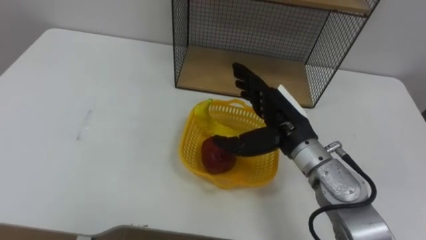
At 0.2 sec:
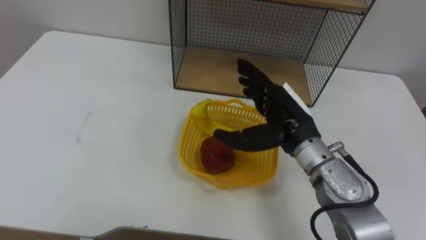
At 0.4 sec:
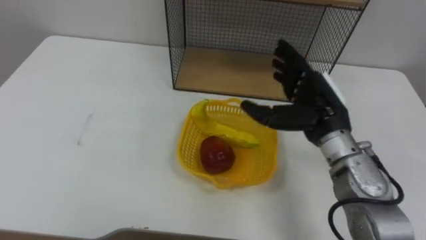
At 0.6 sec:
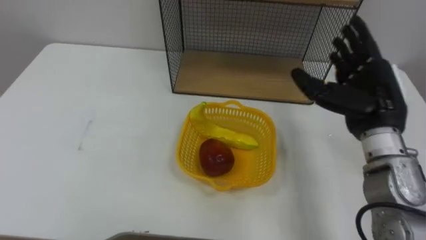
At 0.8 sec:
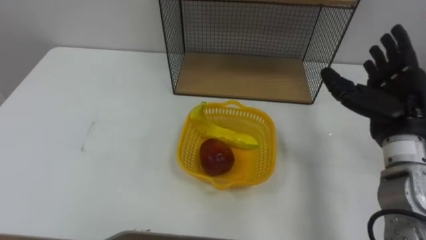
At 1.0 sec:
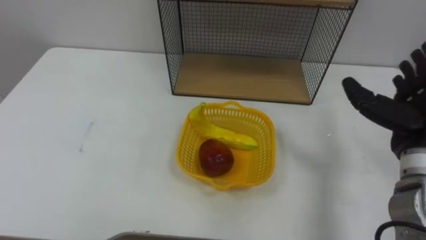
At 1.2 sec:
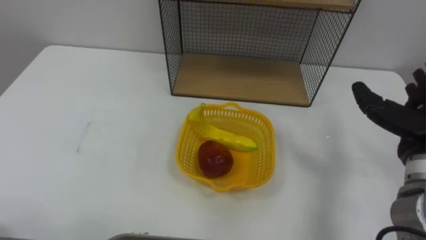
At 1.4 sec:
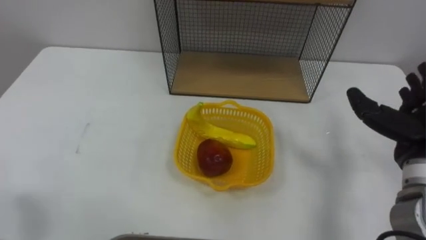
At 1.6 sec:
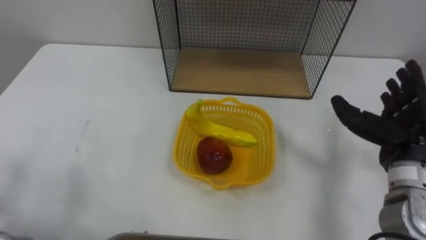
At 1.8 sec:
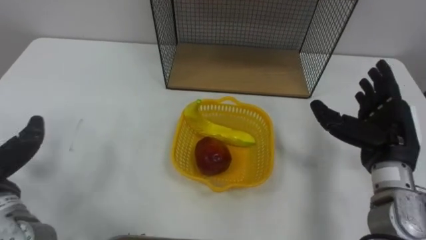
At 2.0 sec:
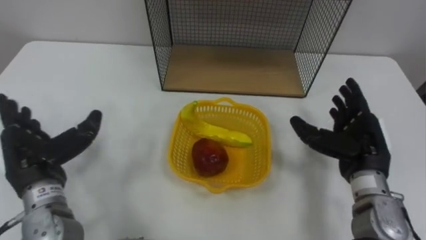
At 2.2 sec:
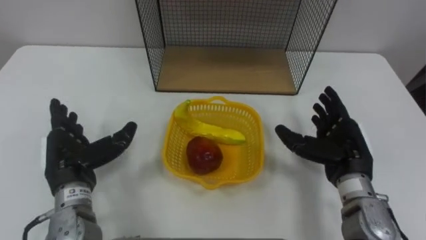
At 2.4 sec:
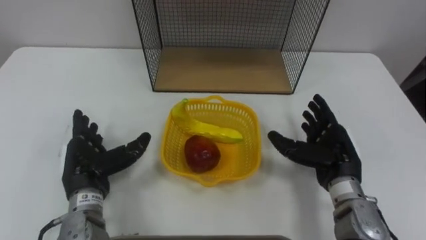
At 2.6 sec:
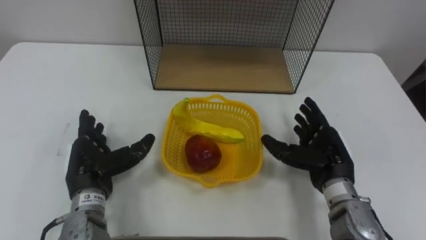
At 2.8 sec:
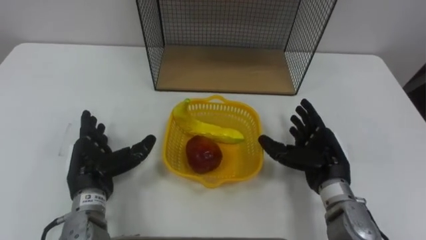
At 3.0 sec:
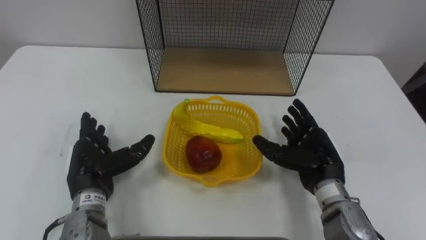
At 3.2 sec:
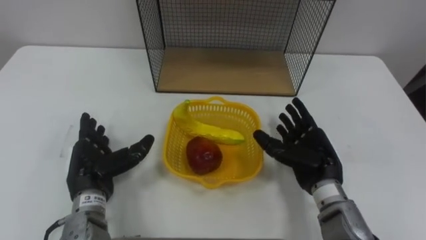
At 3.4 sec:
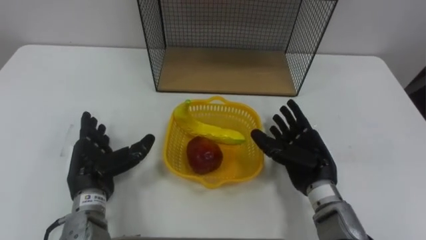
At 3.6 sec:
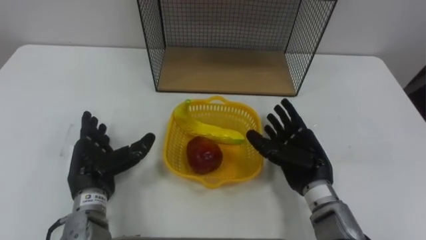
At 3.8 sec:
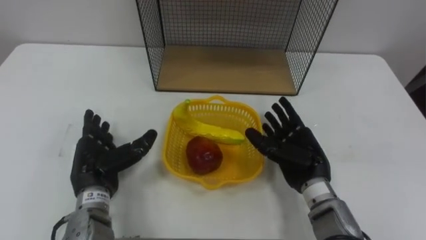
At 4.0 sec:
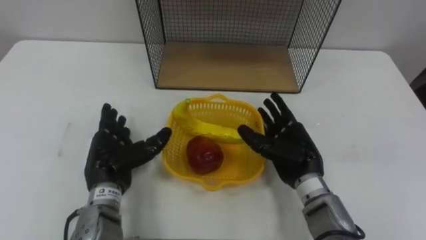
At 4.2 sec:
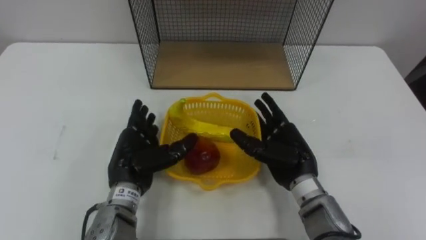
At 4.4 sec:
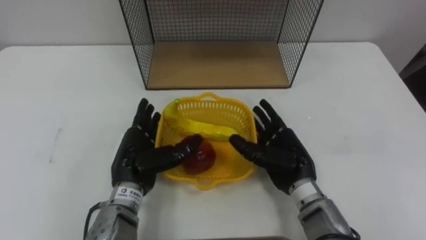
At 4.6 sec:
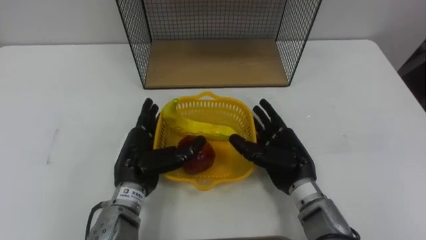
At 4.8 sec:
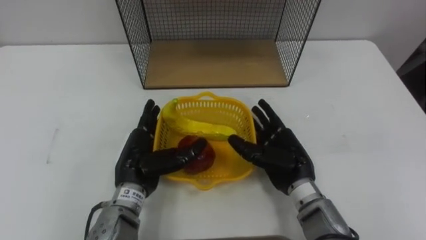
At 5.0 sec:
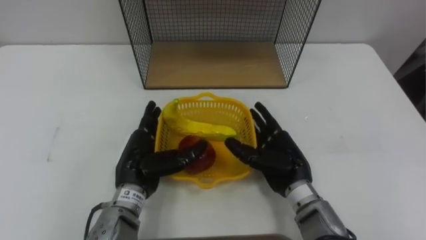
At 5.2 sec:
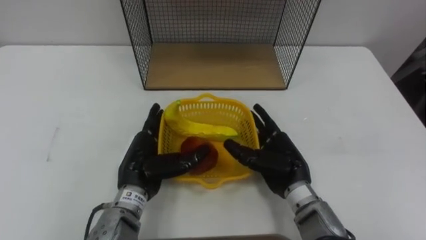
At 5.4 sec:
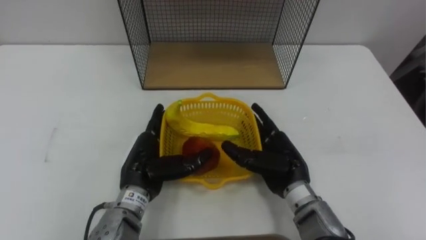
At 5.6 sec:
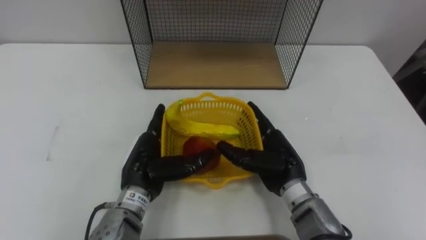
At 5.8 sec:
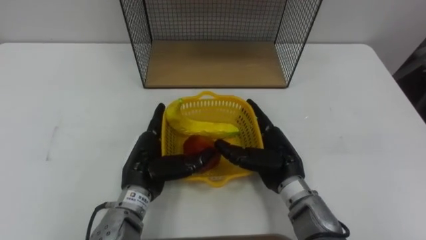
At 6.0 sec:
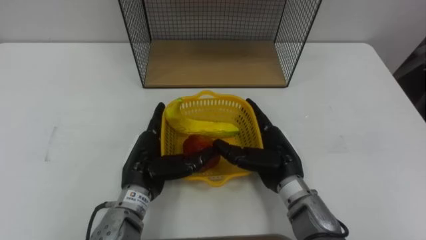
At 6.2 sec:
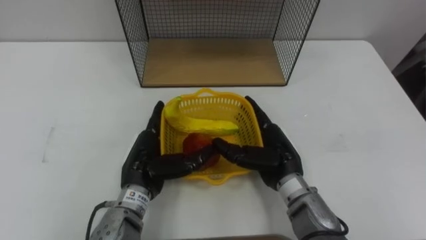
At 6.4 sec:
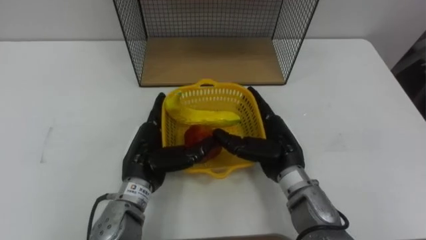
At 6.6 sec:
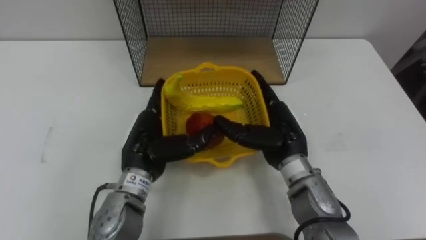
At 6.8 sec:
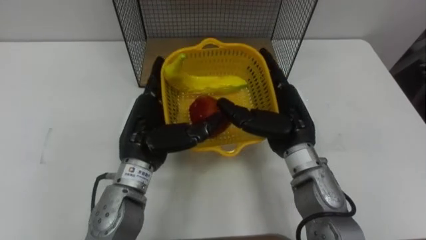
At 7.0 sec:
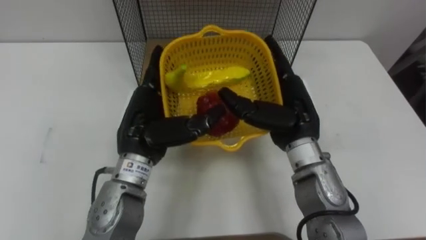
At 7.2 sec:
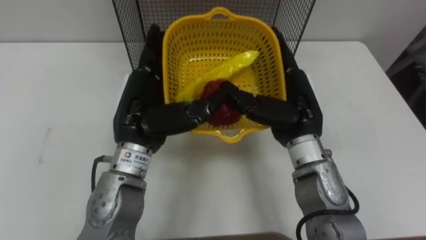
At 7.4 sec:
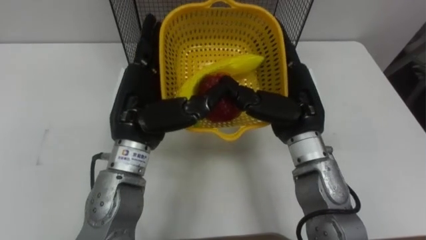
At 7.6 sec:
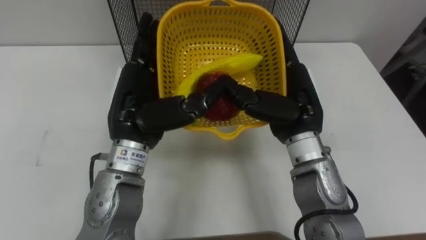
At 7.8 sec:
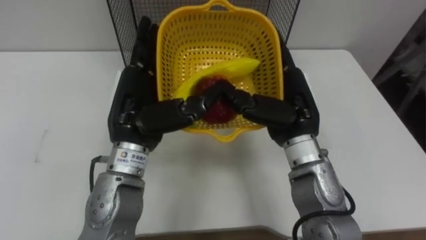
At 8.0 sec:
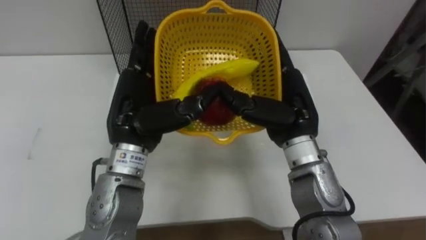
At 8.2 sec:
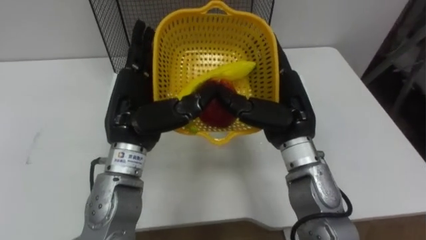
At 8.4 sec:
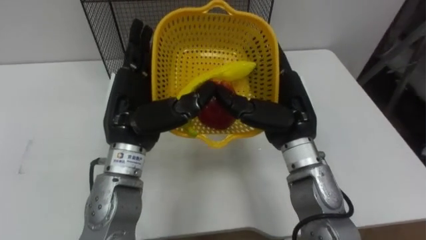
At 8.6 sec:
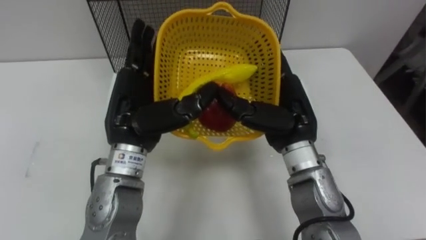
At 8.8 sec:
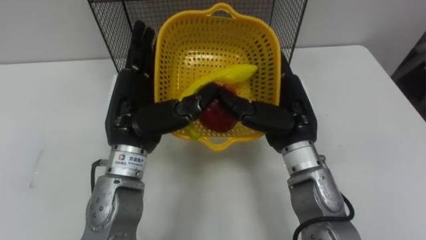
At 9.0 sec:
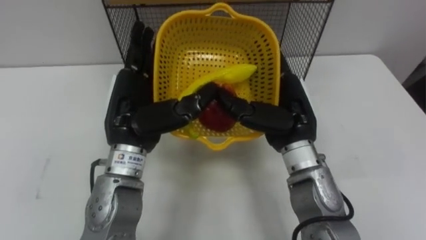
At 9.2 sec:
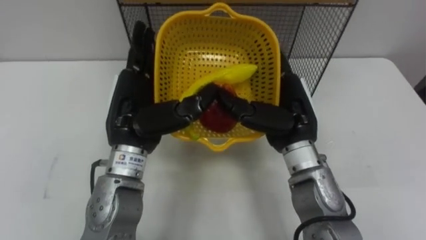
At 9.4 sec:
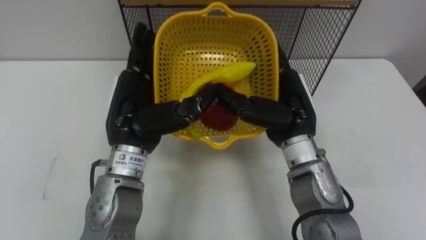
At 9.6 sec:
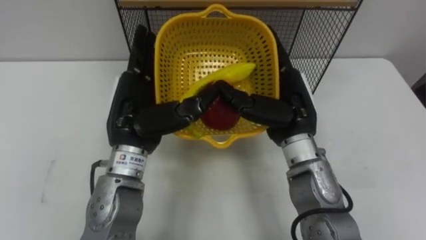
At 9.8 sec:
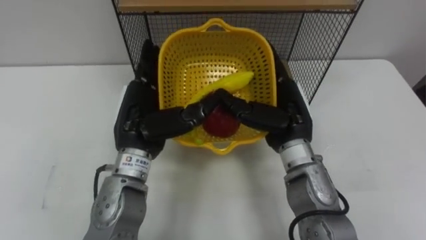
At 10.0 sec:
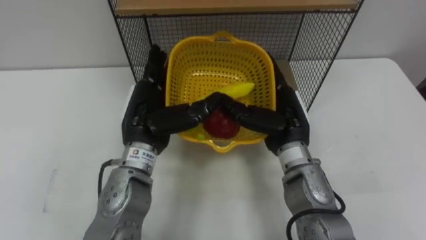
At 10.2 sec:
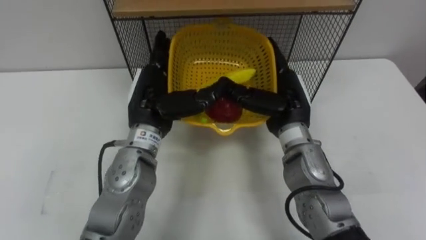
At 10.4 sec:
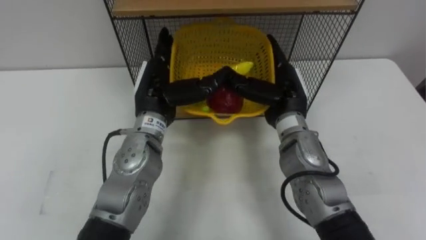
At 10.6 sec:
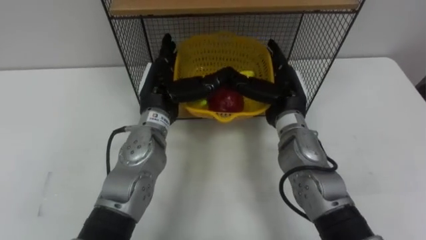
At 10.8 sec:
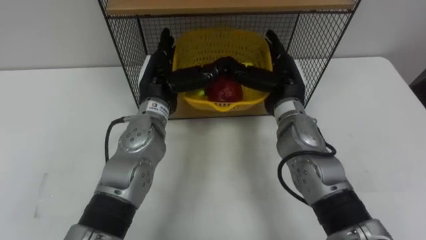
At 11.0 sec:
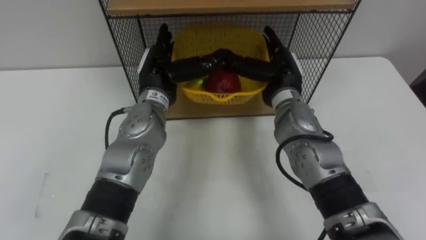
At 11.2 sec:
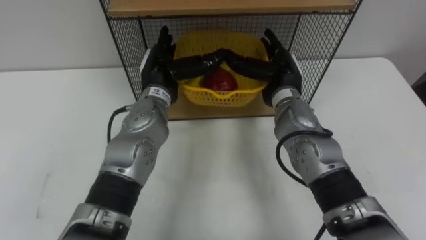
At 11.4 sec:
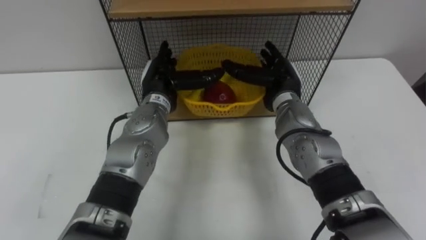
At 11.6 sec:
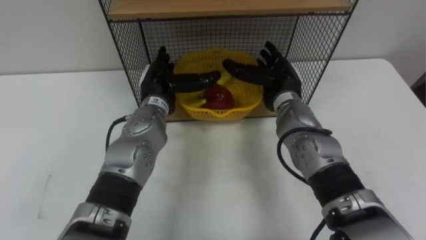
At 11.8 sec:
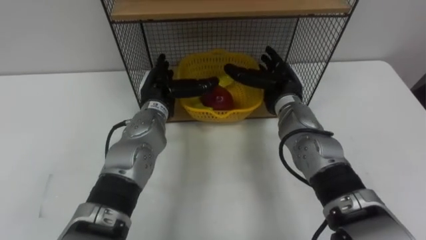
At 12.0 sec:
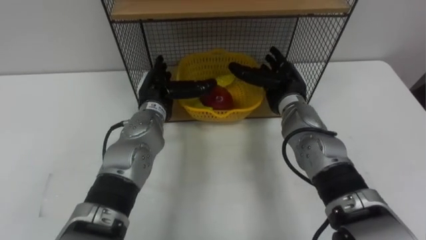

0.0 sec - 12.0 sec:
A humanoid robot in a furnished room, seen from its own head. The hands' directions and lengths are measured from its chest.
Task of the whole recording: Put the fruit on the table into the basket, then place the basket on the shelf.
1.6 sec - 3.0 sec: The right hand travels to the left and downward by some 15 cm.
3.0 sec - 4.4 sec: The right hand heads to the left, covering roughly 5 cm. Meanwhile the left hand is displaced to the right by some 10 cm.
6.0 sec - 7.6 sec: Both hands move upward, approximately 15 cm.
9.0 sec - 10.4 sec: The two hands go approximately 5 cm forward.
10.4 sec - 12.0 sec: The right hand changes place by some 5 cm; the left hand goes some 5 cm downward.

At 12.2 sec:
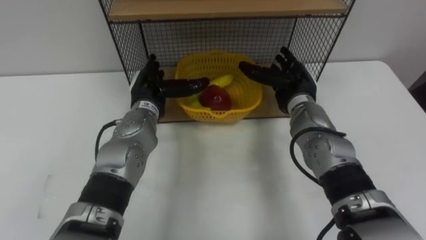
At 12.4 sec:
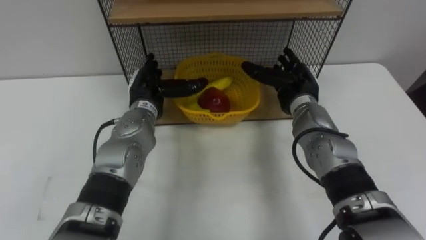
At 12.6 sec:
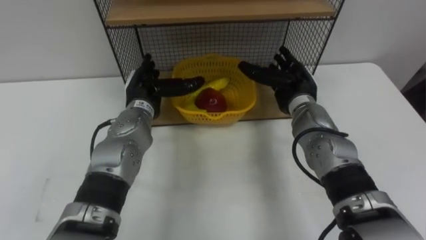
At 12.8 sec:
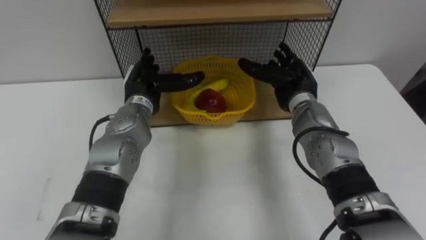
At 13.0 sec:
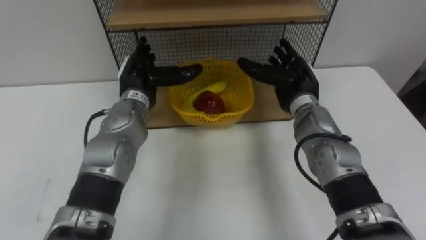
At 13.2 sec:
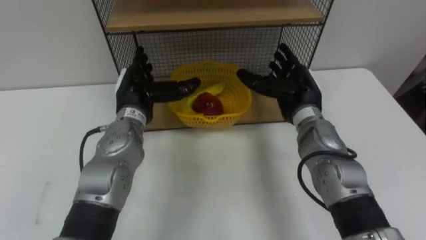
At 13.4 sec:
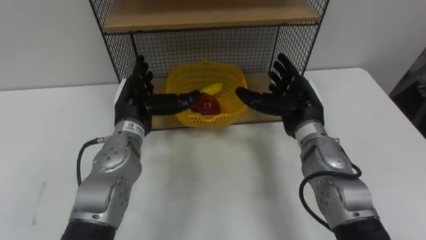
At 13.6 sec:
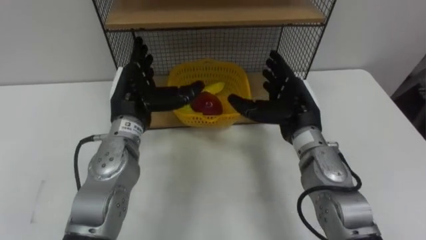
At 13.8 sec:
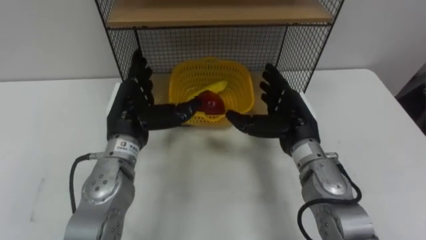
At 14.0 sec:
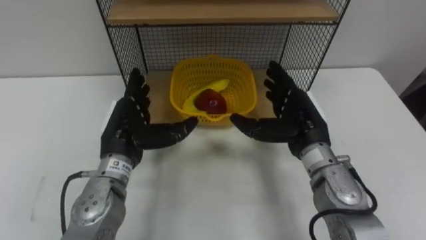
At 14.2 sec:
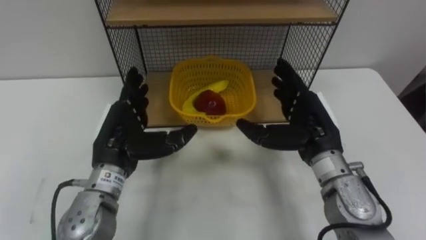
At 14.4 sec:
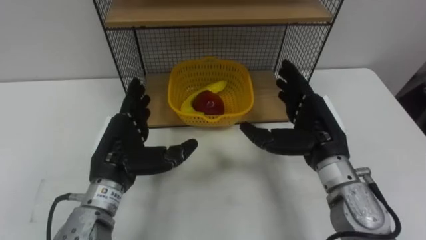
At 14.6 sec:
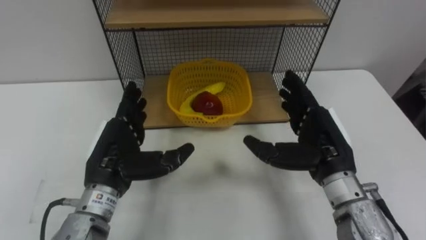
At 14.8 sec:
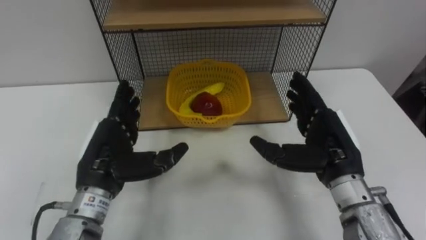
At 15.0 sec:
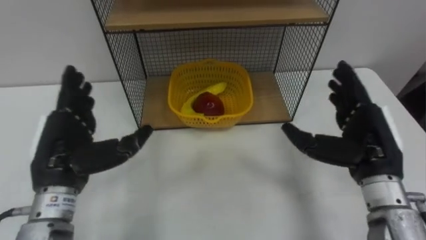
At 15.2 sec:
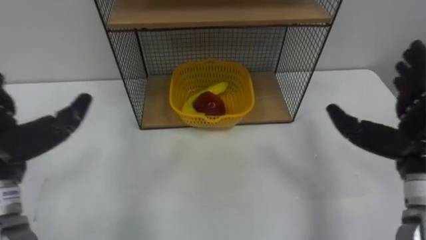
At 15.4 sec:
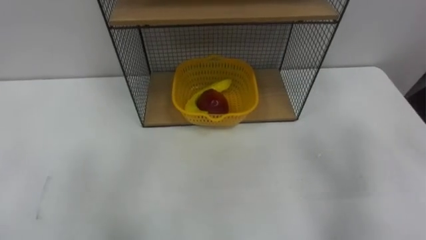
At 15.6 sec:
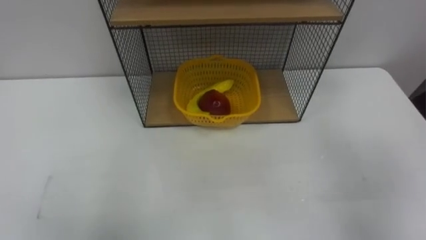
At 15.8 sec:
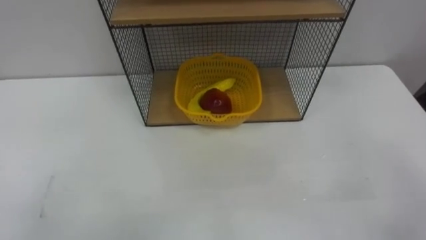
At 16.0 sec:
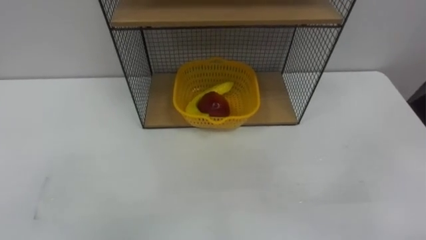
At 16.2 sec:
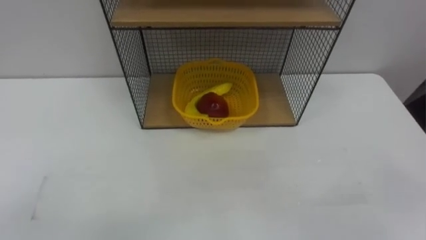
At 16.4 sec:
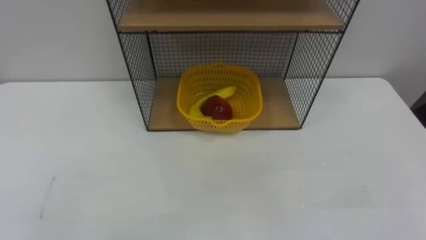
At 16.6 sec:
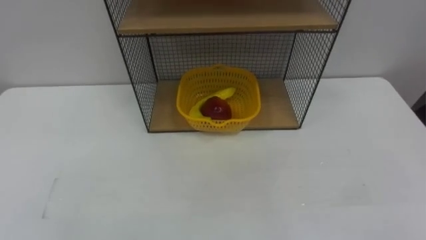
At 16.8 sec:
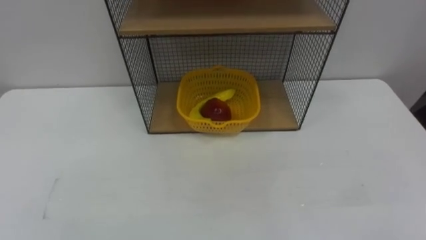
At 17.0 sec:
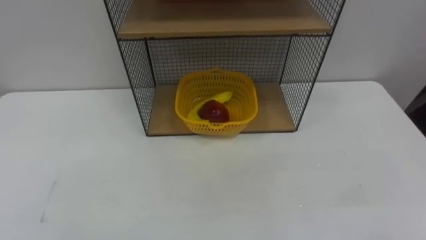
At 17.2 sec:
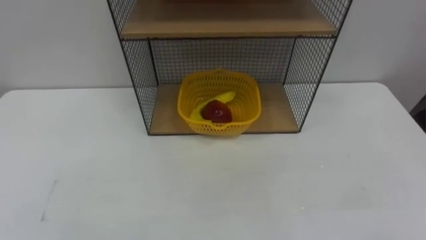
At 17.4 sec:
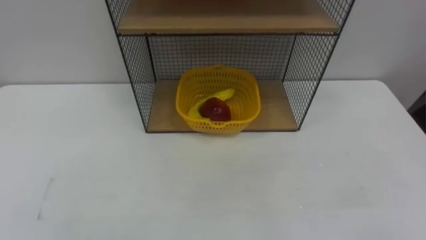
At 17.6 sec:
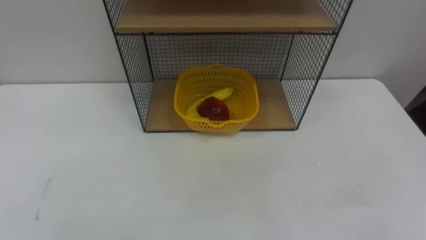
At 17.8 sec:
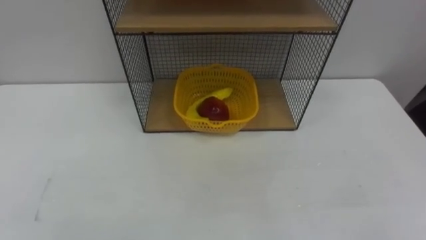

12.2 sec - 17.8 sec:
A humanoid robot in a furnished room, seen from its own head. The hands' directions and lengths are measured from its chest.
Task of the whole recording: Put the fruit on the table into the basket, then place the basket on the shelf.
12.2 sec - 13.6 sec: The left hand changes place by approximately 5 cm, while the right hand heads backward, covering roughly 5 cm.
13.6 sec - 15.0 sec: The left hand heads backward and to the left, covering some 15 cm. Meanwhile the right hand shifts about 15 cm backward and to the right.
